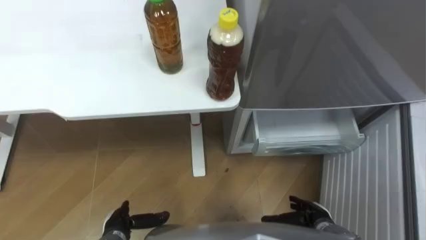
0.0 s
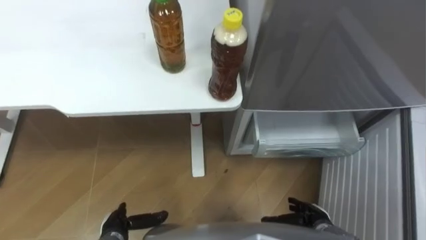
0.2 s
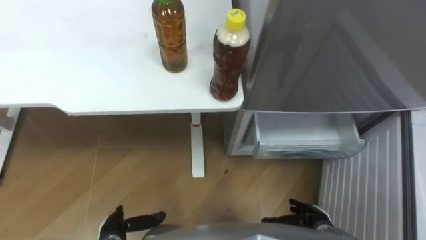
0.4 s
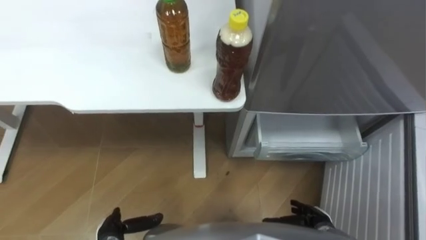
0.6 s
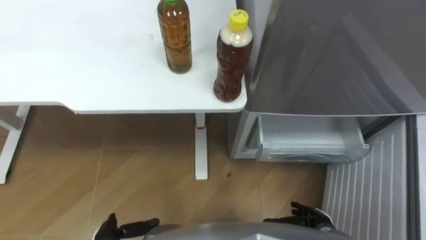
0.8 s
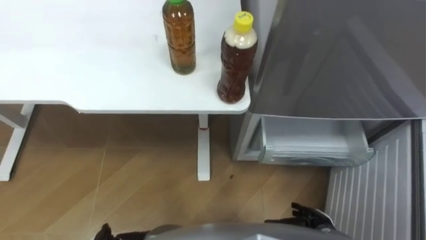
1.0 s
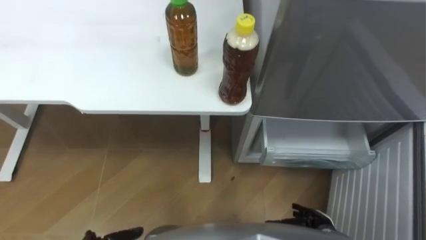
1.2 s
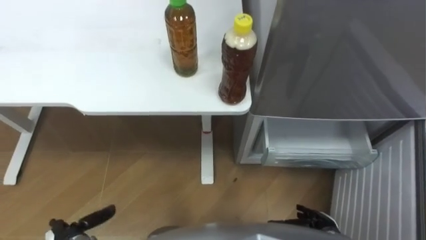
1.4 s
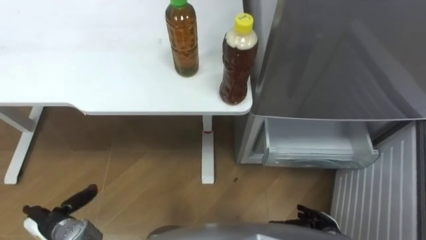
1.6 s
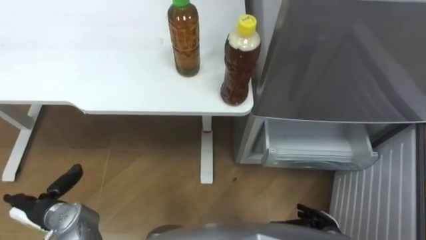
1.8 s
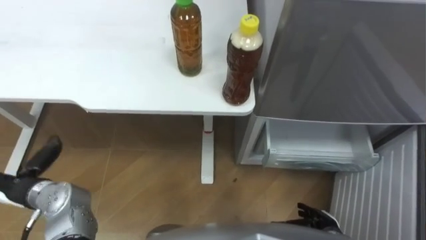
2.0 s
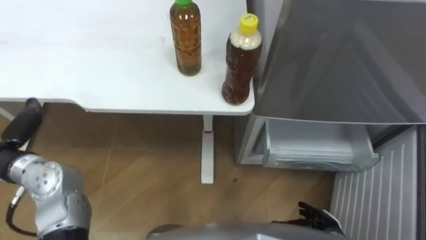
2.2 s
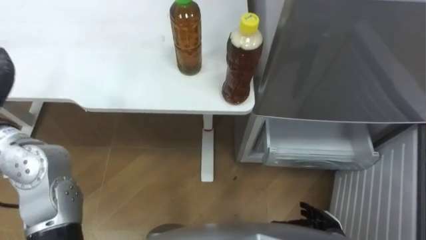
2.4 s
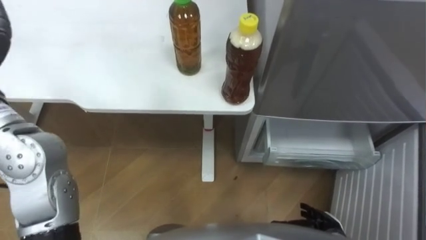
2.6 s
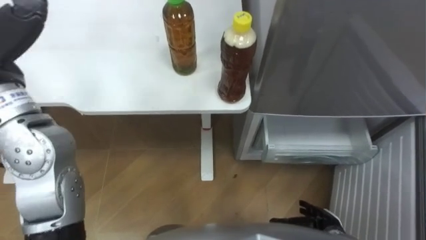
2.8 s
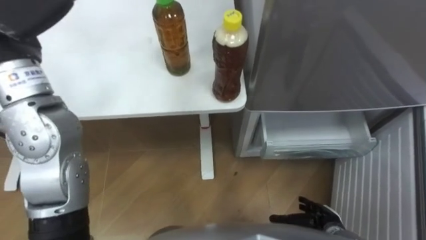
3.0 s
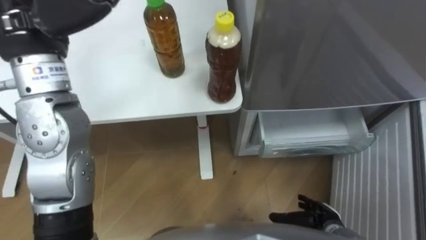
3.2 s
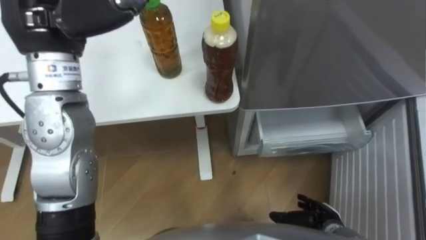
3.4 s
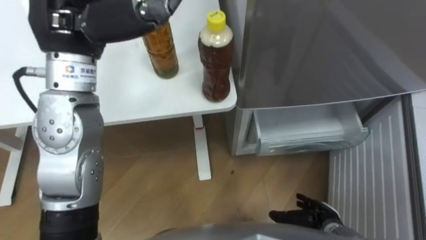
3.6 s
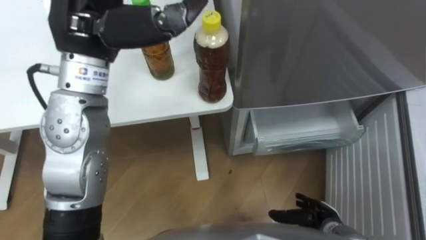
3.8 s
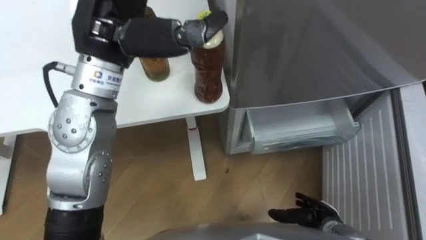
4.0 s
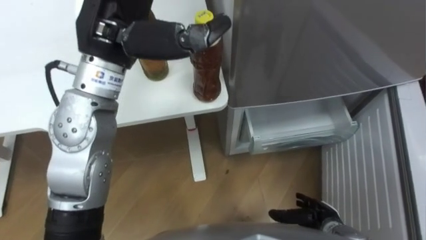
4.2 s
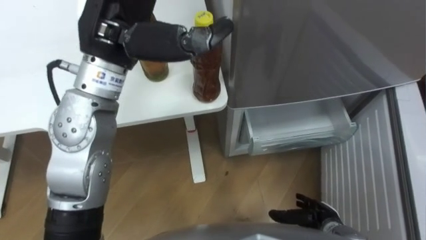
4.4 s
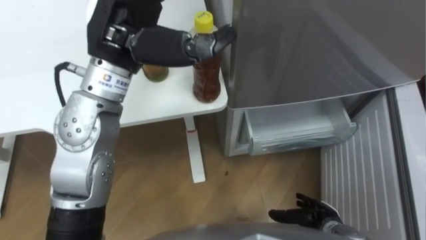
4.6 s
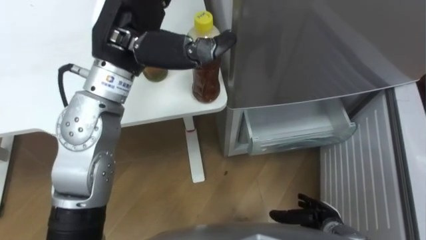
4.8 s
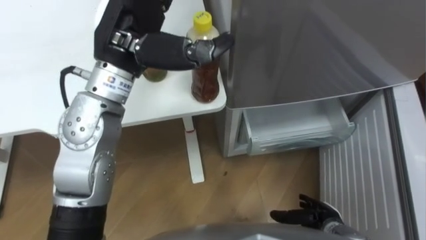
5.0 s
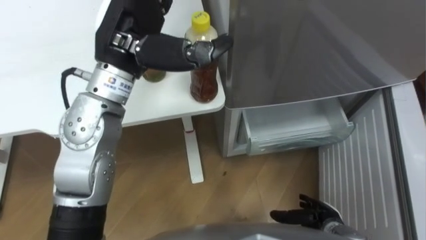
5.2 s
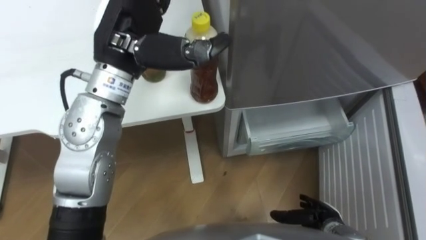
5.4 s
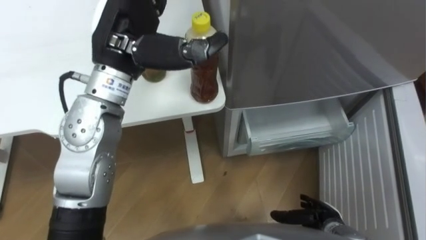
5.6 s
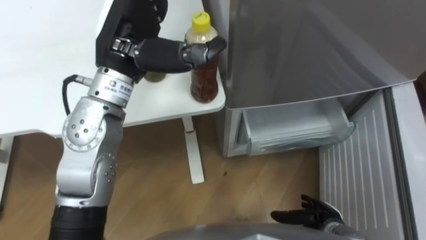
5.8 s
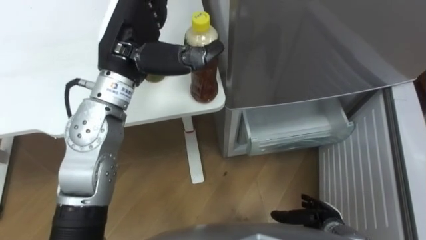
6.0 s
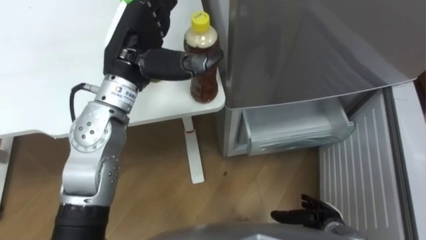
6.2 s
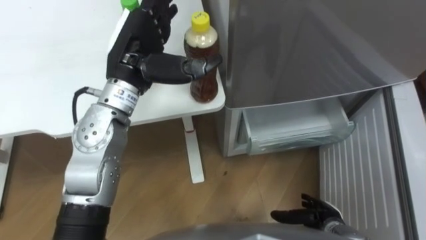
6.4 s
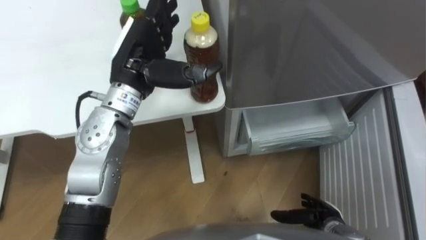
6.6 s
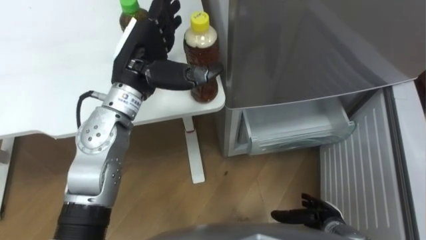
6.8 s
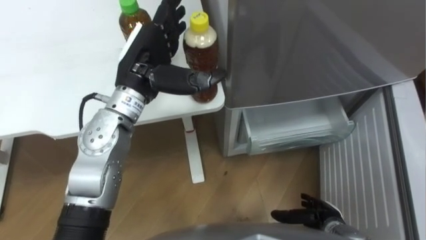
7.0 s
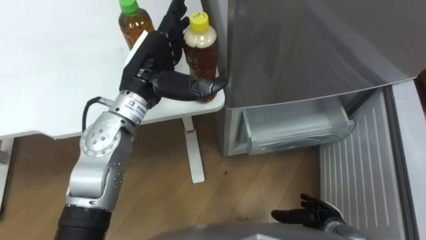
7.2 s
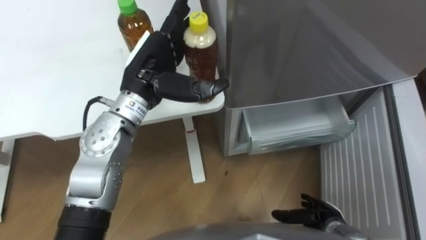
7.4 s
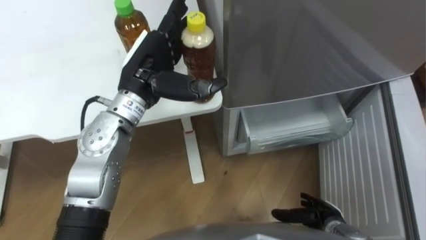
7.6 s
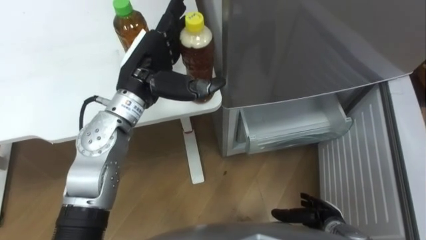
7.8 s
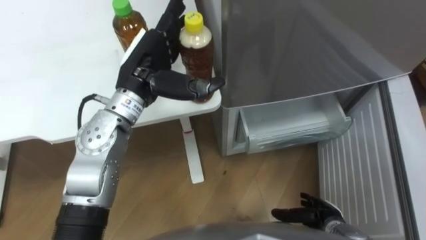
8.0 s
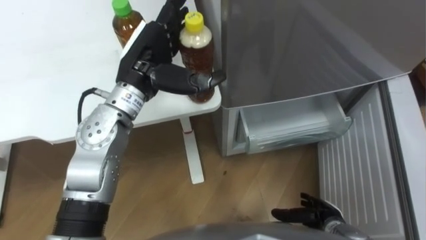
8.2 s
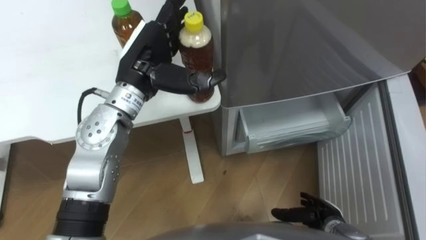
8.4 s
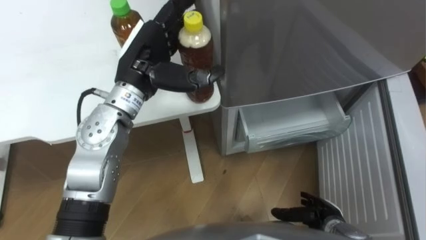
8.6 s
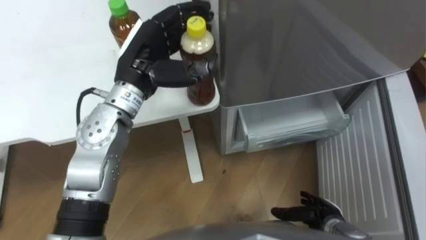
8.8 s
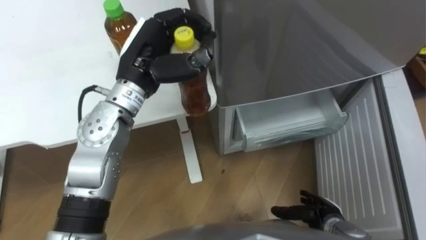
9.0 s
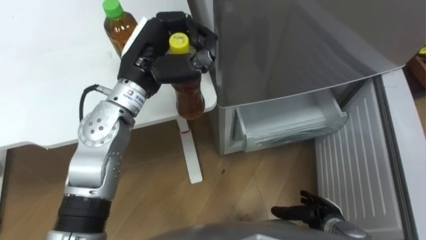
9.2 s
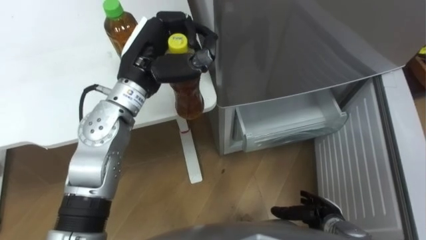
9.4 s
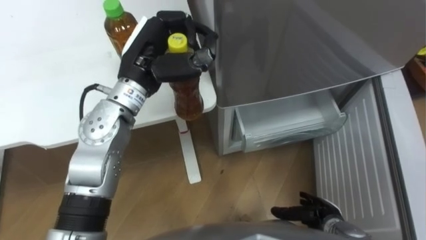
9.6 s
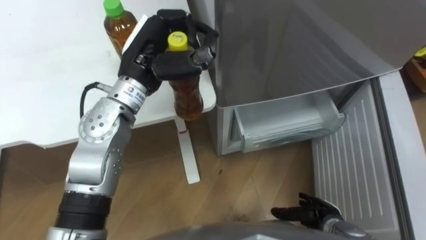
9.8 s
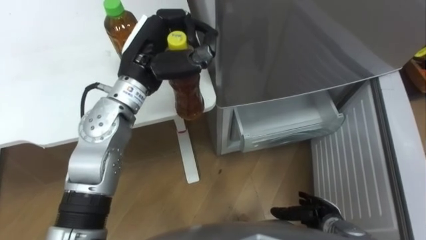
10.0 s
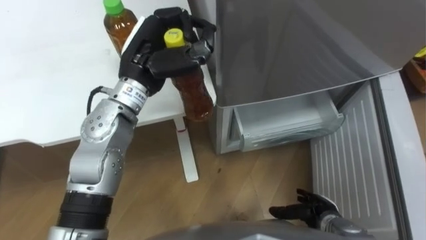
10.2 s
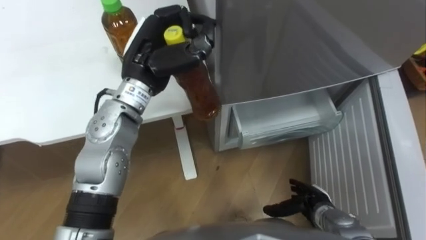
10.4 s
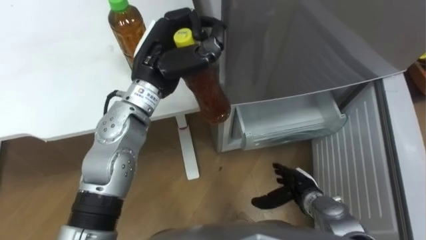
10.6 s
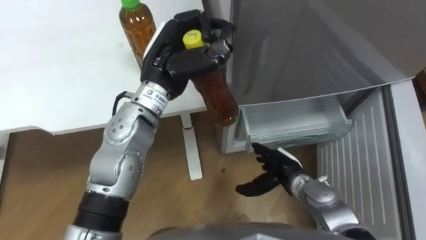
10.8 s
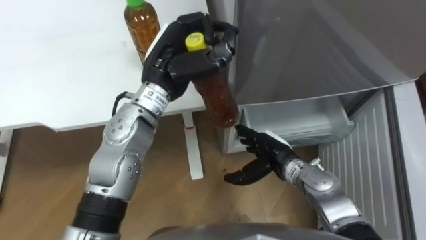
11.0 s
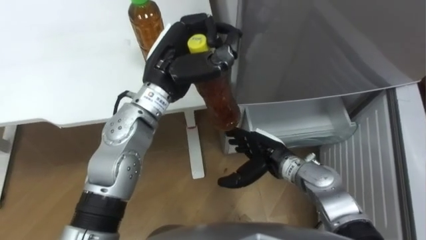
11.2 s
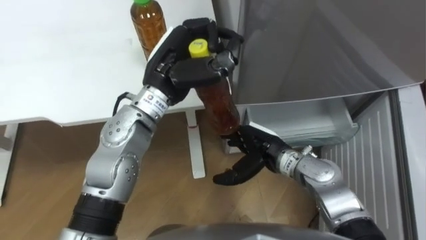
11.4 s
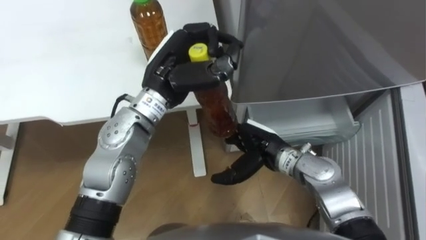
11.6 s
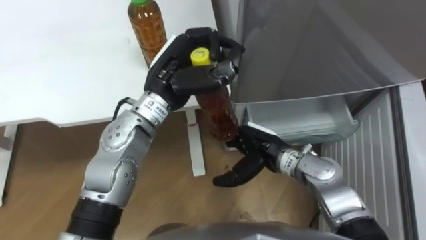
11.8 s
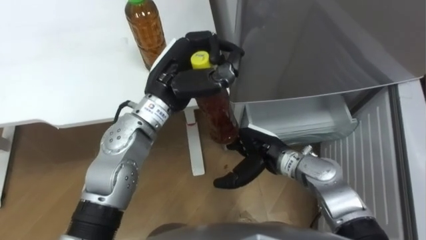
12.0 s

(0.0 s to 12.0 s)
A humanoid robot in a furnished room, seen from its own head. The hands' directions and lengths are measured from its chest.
Task of the whole recording: Place the drink on the table on the bottom shelf of the refrigerator, then close the drawer and the refrigerator door.
4.4 s - 6.0 s: The left hand travels downward by roughly 5 cm.
6.0 s - 7.6 s: The left hand heads downward, covering roughly 5 cm.
7.6 s - 9.0 s: The left hand closes its fingers.
10.4 s - 12.0 s: The left hand ends up roughly 5 cm from where it was, while the right hand moves upward, to the left and forward, some 20 cm.

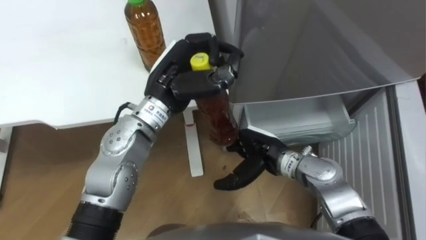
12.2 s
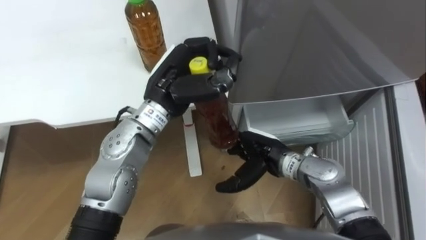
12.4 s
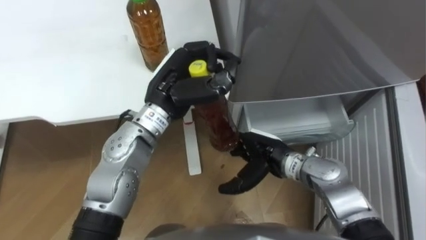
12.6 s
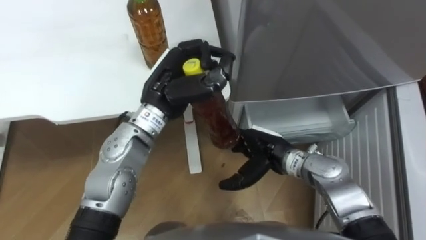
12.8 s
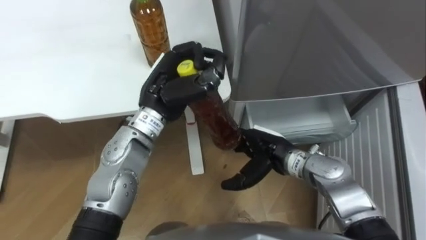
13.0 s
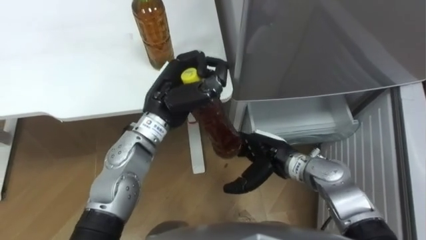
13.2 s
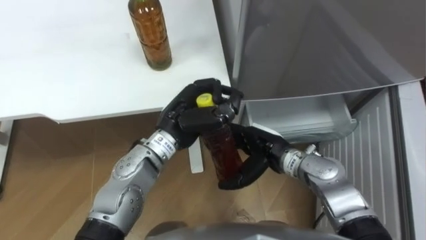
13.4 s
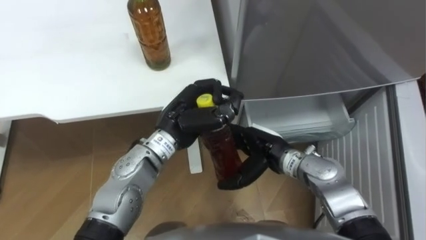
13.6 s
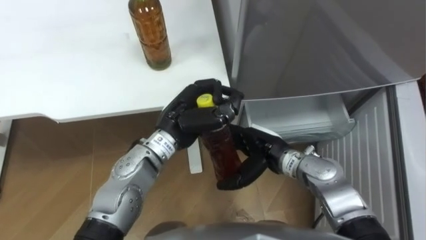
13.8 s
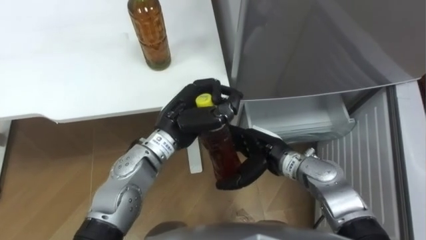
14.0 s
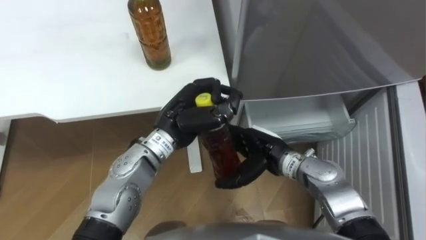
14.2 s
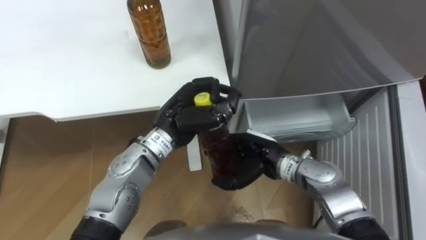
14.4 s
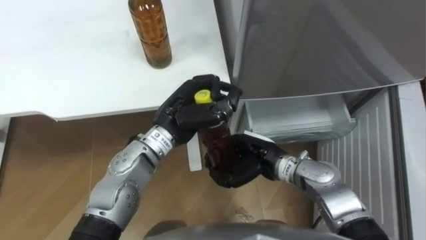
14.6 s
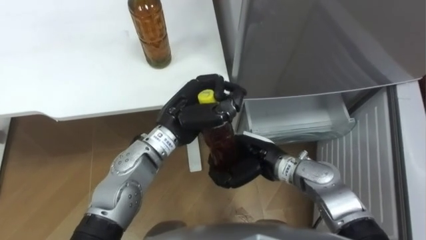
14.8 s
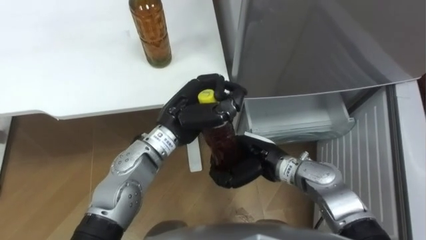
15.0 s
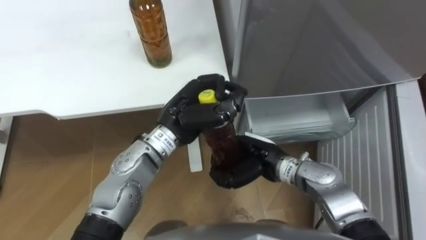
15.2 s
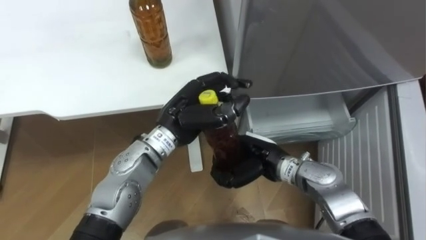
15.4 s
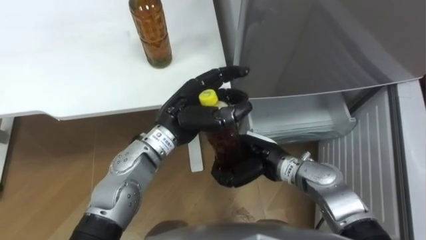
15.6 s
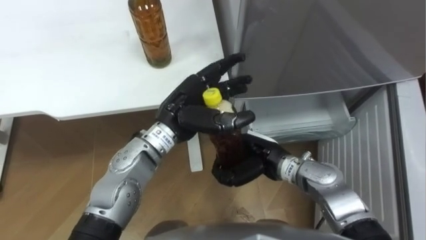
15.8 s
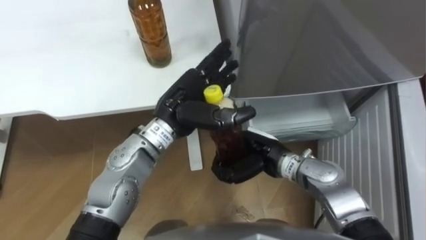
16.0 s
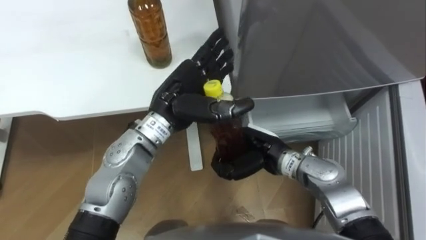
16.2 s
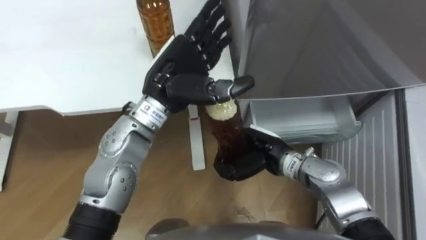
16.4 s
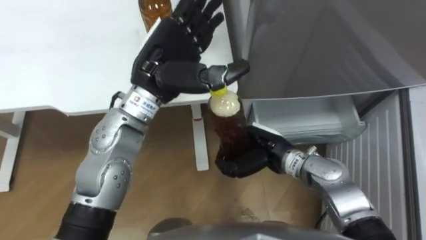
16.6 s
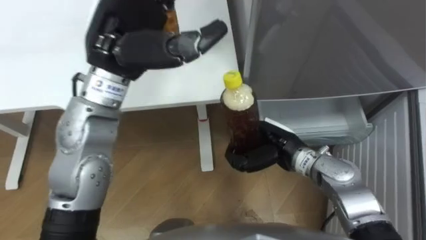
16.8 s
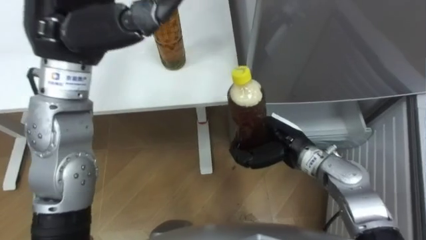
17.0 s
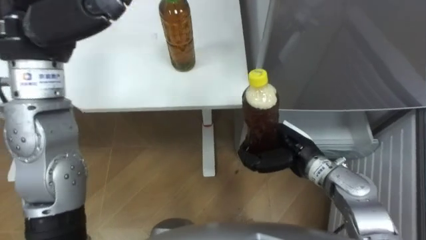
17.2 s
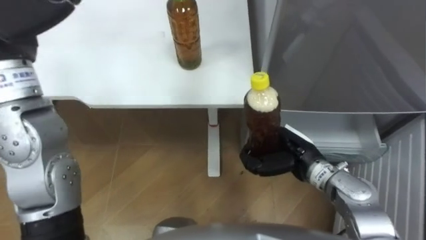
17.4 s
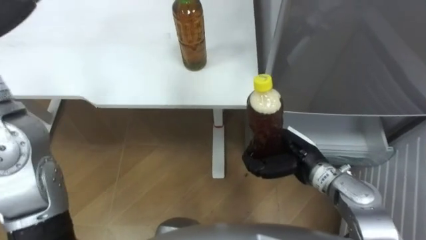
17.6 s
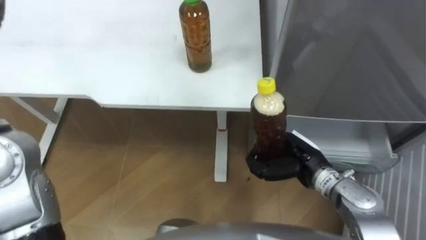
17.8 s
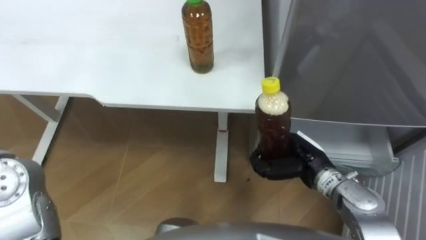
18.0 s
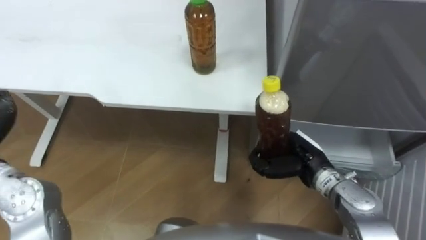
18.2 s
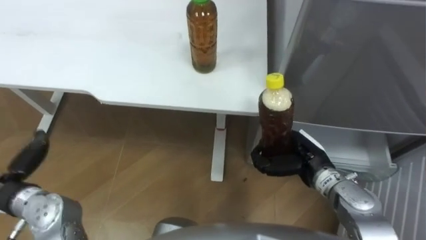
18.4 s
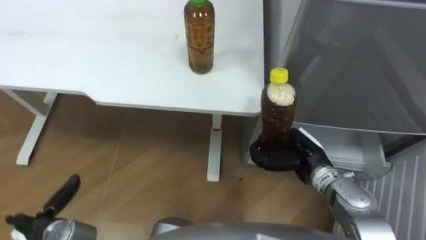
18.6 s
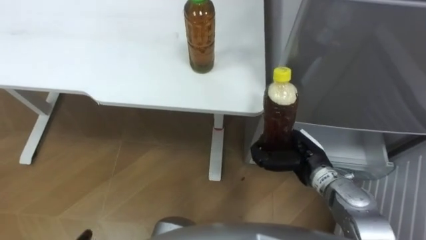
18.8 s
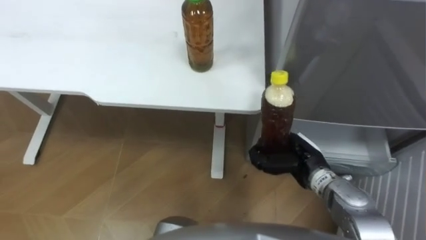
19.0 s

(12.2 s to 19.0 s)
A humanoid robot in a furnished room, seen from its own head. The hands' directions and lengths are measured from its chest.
Task of the whole recording: Place the drink on the table on the bottom shelf of the refrigerator, then close the drawer and the refrigerator door.
12.2 s - 13.6 s: The left hand travels downward by some 5 cm.
13.6 s - 15.0 s: The right hand closes up.
15.0 s - 16.2 s: The left hand opens up.
16.2 s - 17.6 s: The right hand travels to the right by some 10 cm.
